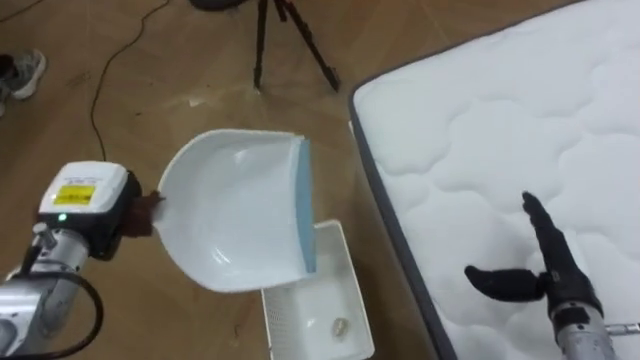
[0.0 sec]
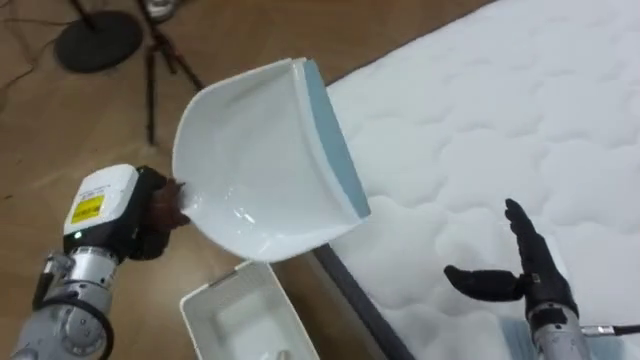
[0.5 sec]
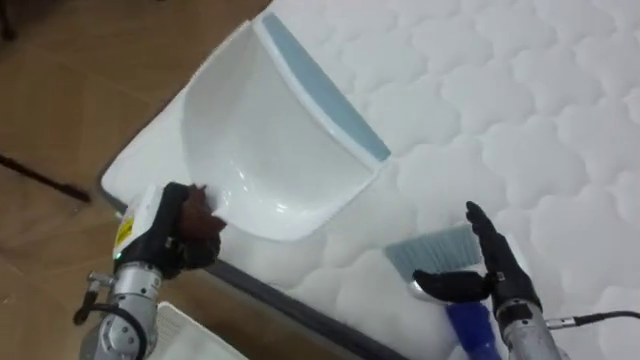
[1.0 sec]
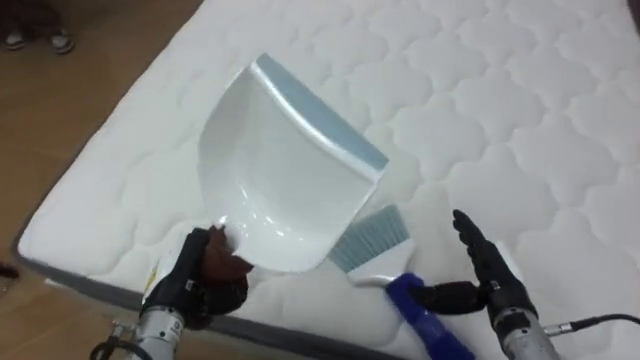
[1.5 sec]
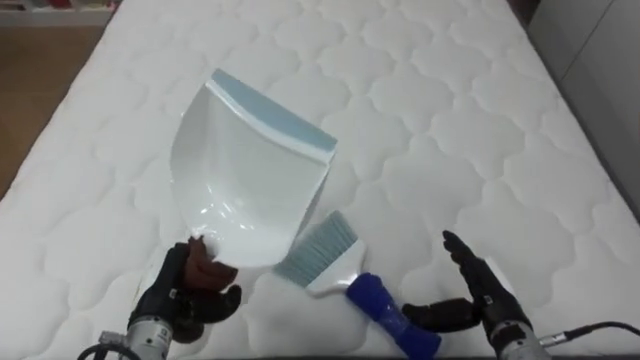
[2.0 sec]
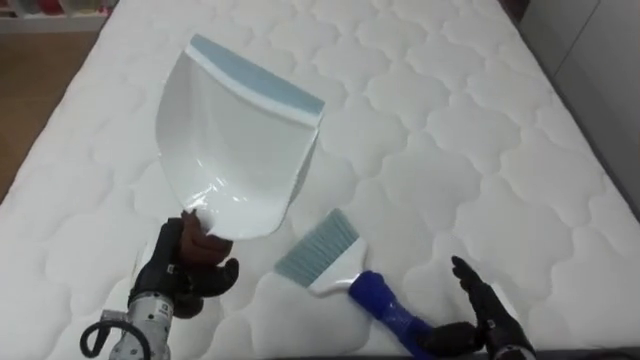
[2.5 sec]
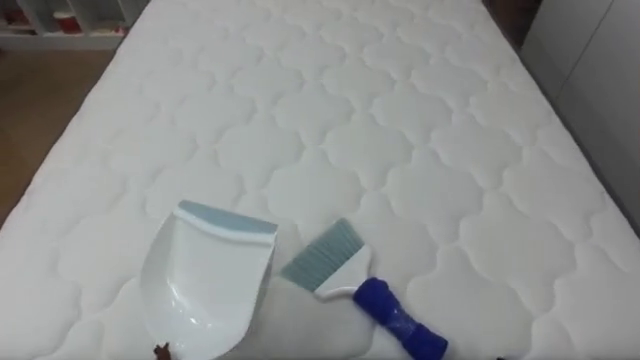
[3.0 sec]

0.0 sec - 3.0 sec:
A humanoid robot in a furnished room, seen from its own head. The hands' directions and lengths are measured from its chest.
Task of the whole recording: Pick up the brush on your right and the dustpan on your left. Use the brush to sweep the crumpled paper on the bed into the dustpan, then turn left and empty it into the basket.
0.0 sec - 1.5 sec: The robot's body swings some 65 degrees to its right. The left hand shifts about 15 cm to the right, downward and backward. Meanwhile the right hand is displaced to the left by about 5 cm.

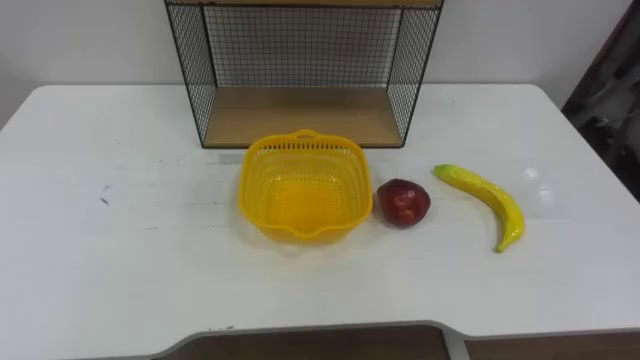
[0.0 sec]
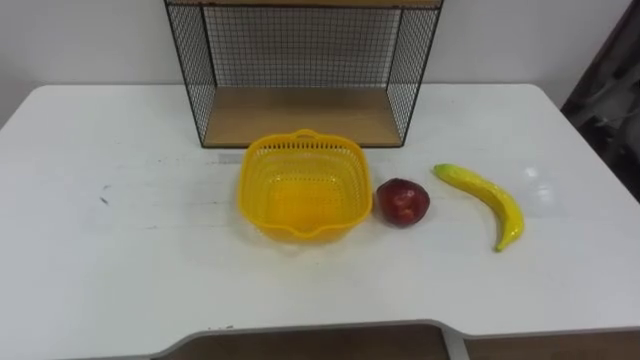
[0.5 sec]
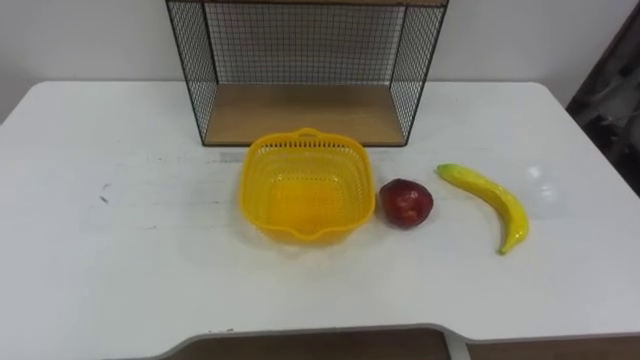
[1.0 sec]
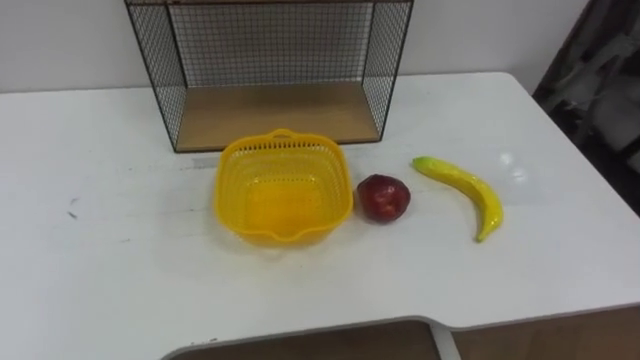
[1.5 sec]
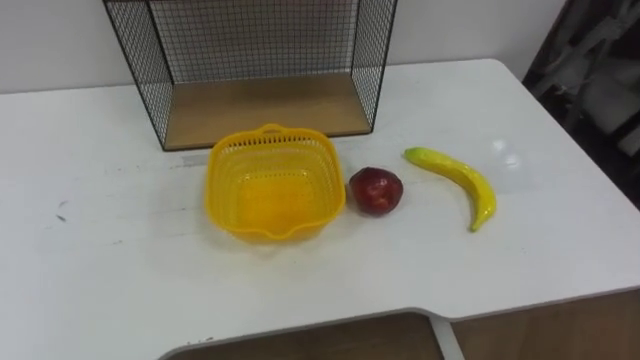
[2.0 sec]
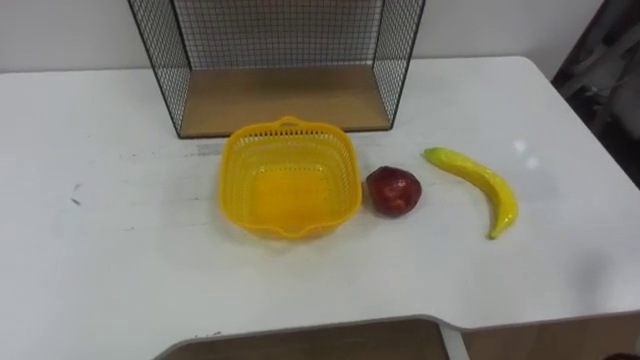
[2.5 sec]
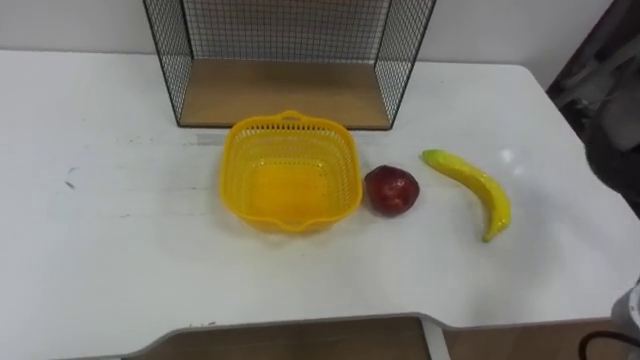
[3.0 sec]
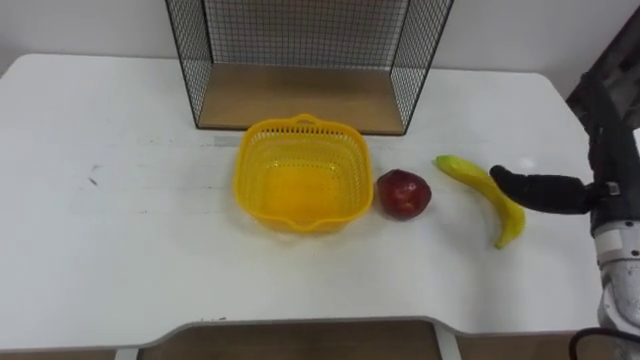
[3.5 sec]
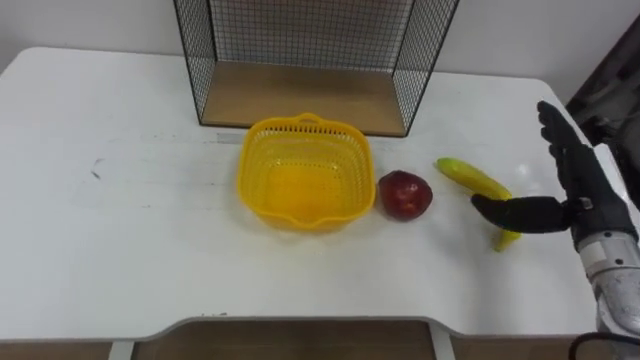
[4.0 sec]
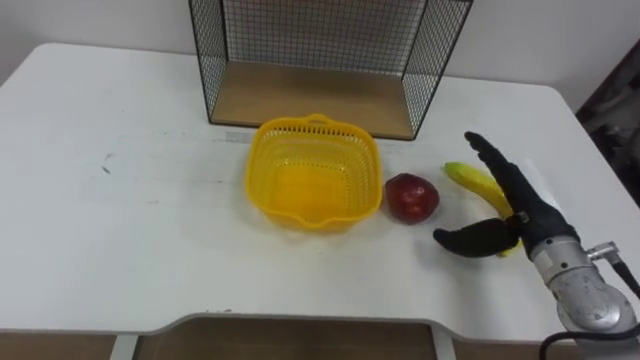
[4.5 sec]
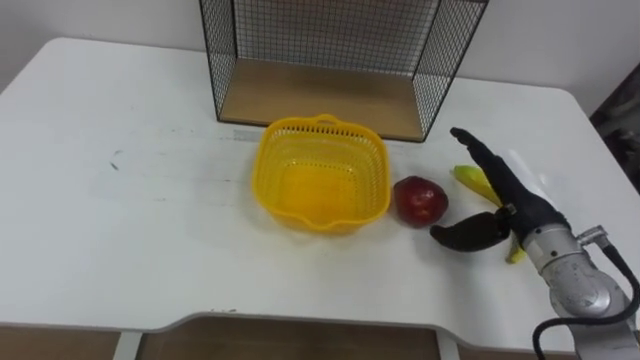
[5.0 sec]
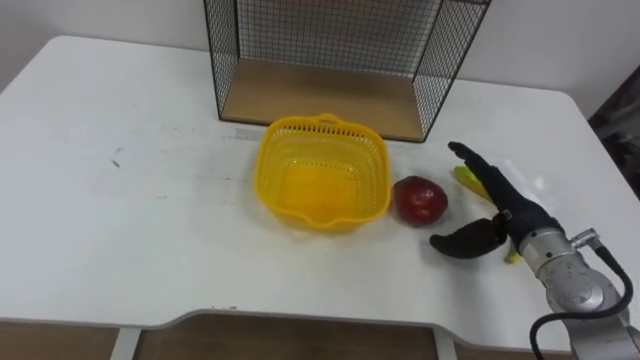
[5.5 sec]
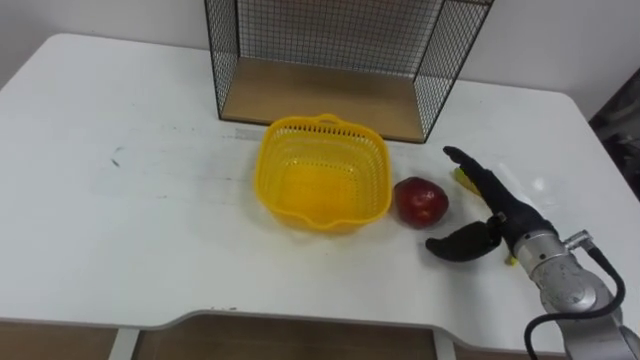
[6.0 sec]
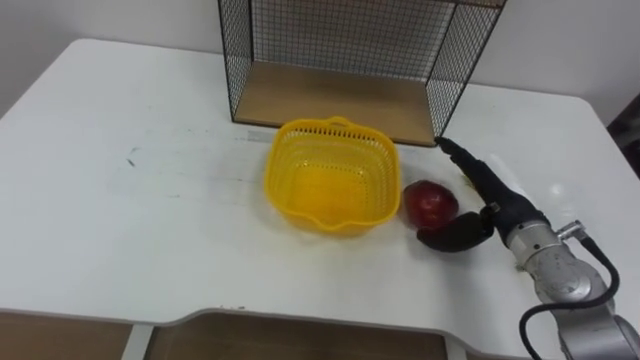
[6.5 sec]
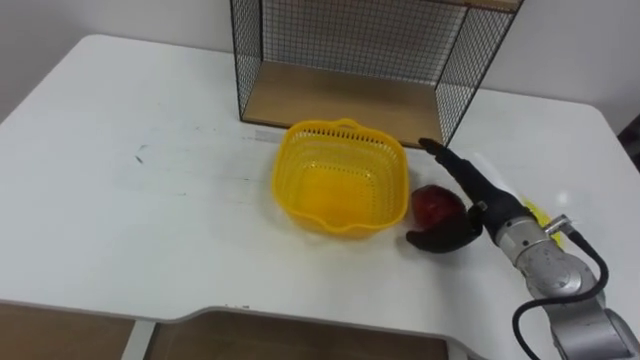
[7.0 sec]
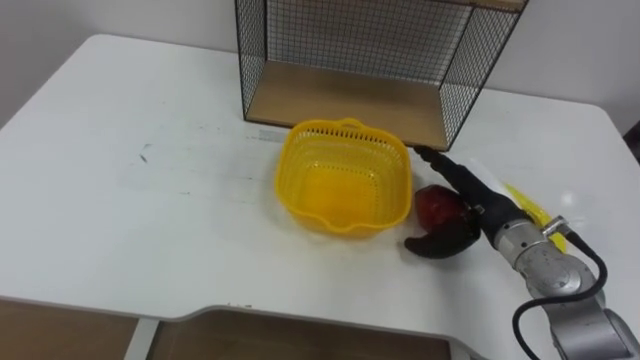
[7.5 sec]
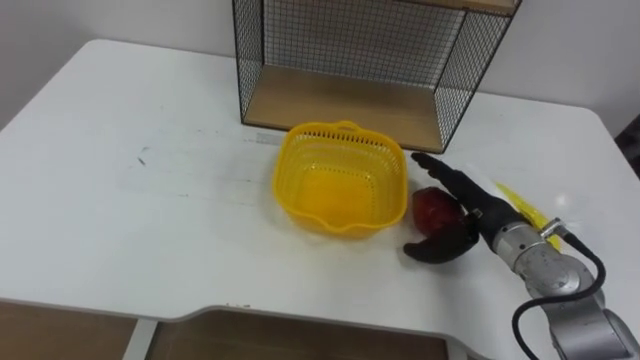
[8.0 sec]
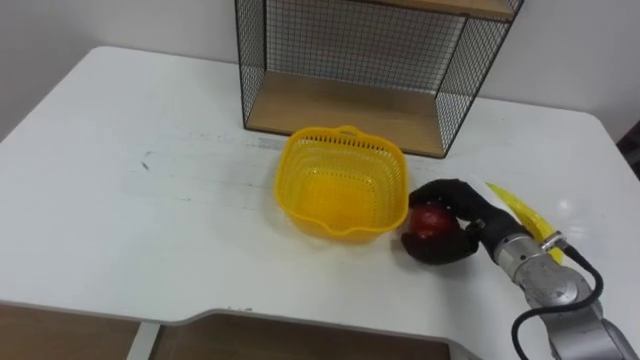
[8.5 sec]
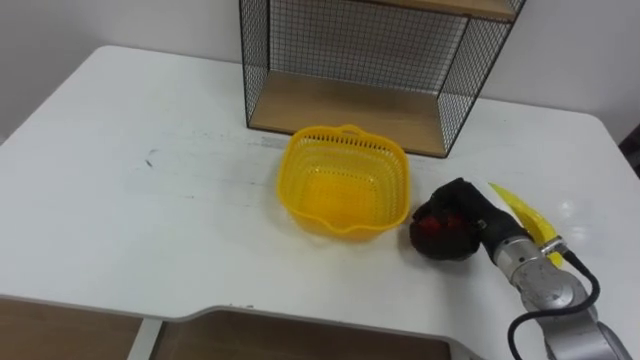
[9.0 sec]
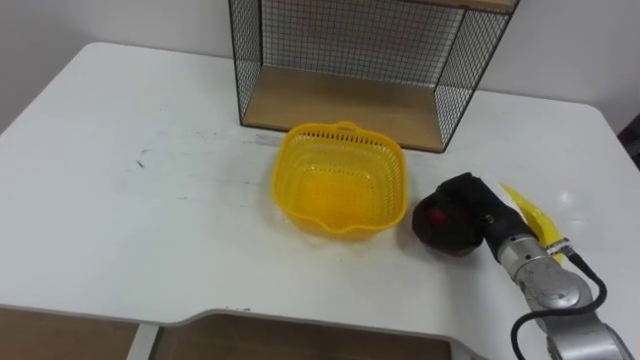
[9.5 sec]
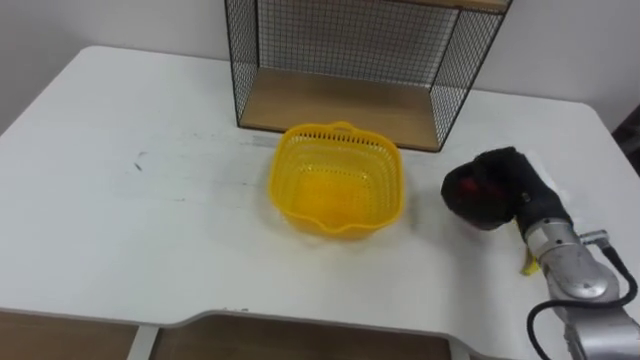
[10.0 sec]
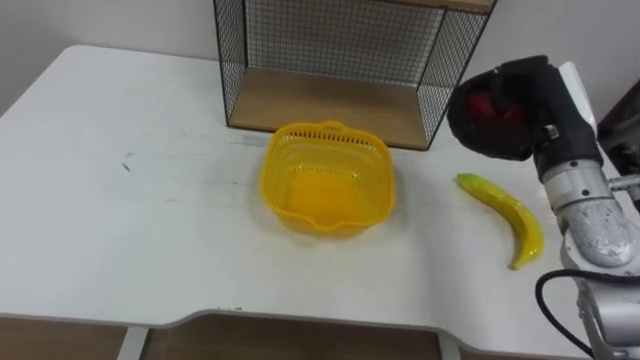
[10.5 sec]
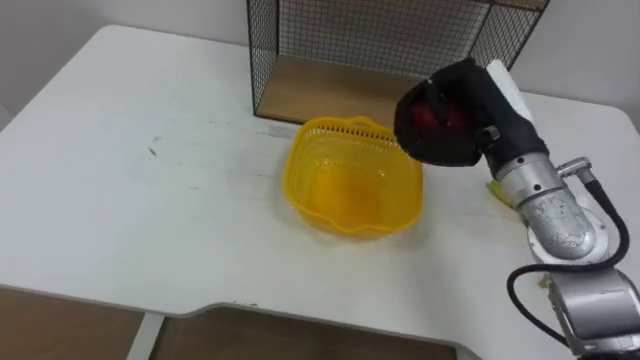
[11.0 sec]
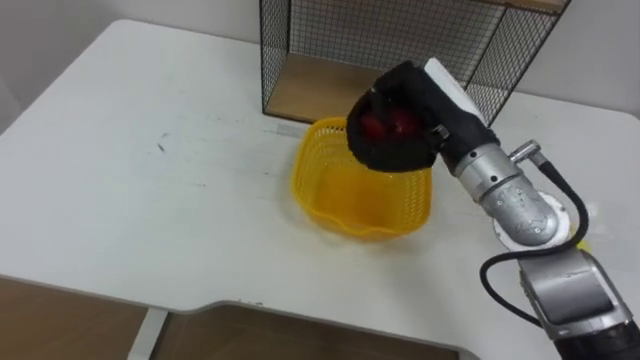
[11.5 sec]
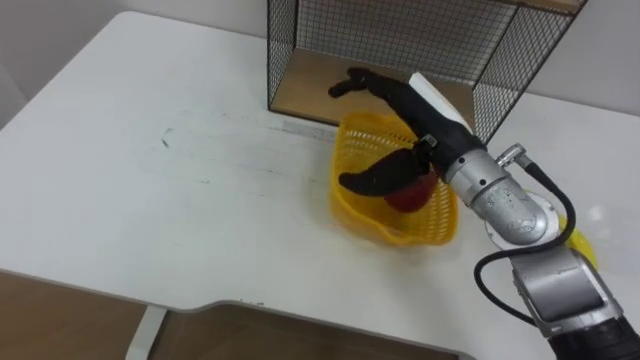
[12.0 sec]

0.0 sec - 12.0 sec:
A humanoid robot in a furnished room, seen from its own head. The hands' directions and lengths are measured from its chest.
Task of the whole recording: Put the fruit on the table into the basket, then place the basket on the shelf.
4.0 sec - 6.0 sec: The right hand is displaced to the left and downward by roughly 10 cm.
8.0 sec - 10.0 sec: The right hand shifts some 5 cm to the right, and closes up.
10.0 sec - 12.0 sec: The right hand shifts about 15 cm to the left and upward, and opens up.

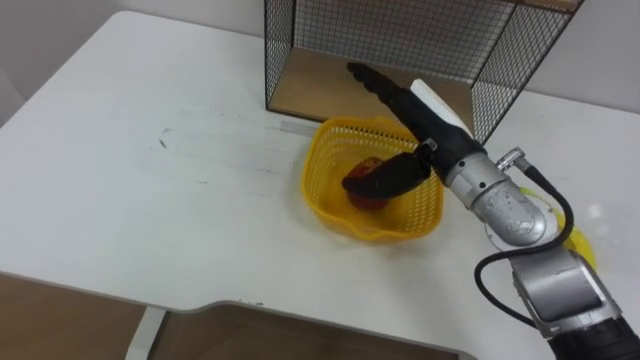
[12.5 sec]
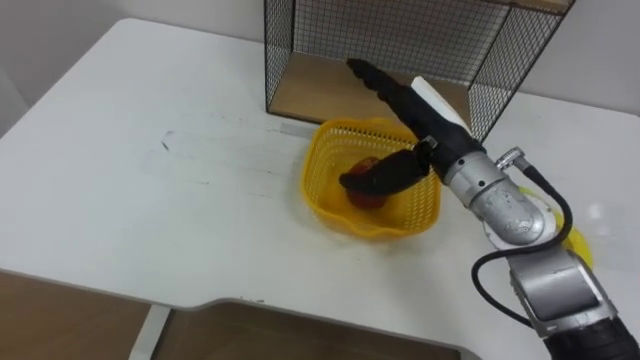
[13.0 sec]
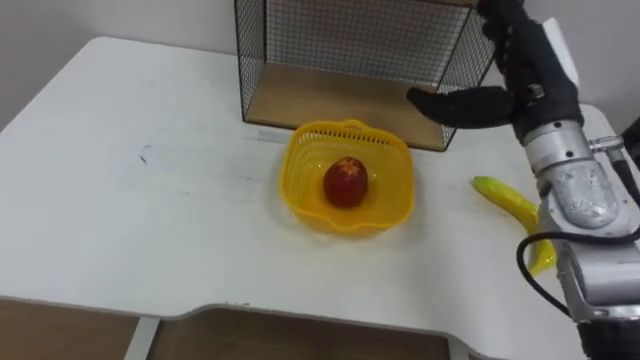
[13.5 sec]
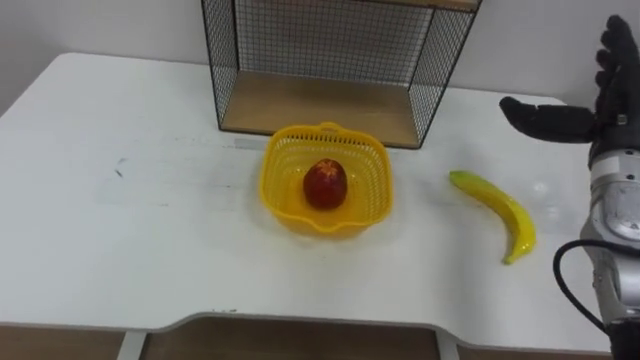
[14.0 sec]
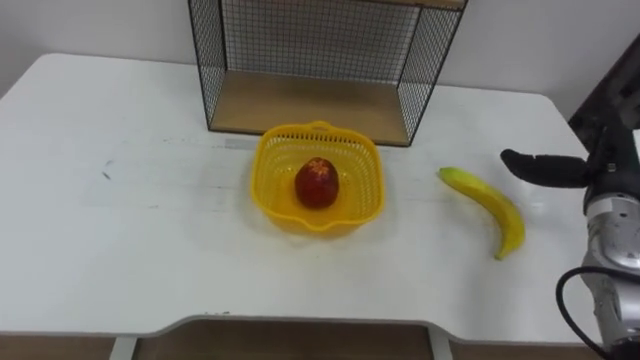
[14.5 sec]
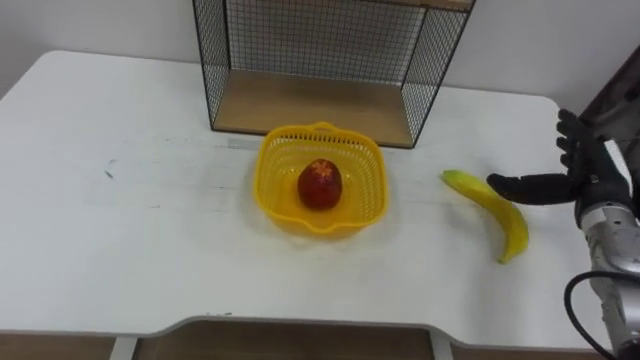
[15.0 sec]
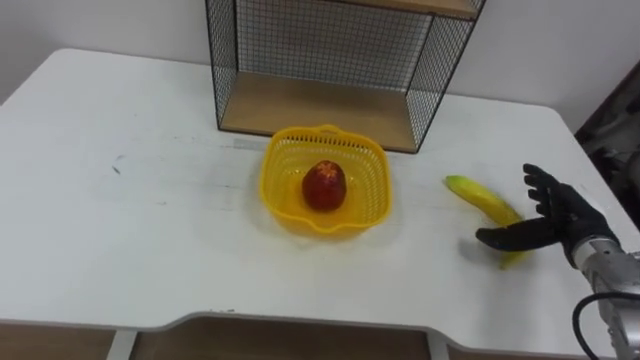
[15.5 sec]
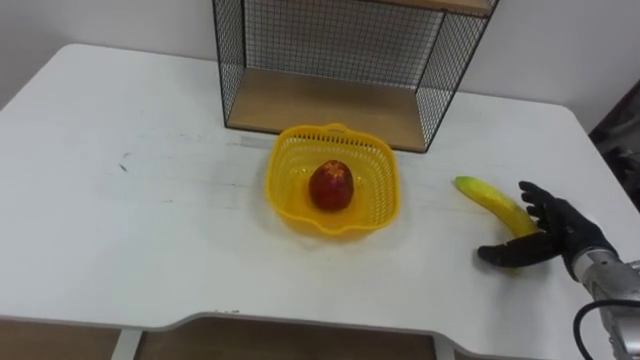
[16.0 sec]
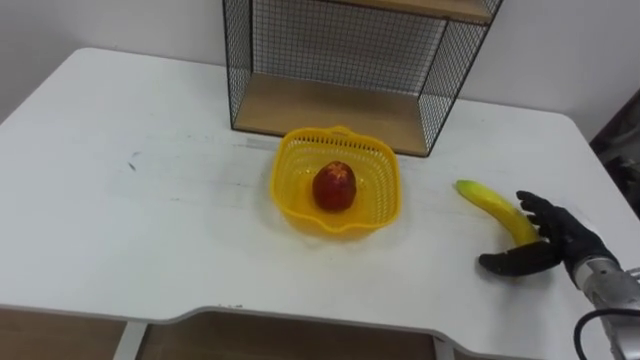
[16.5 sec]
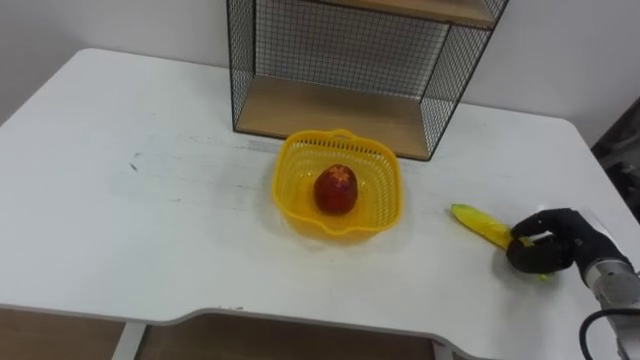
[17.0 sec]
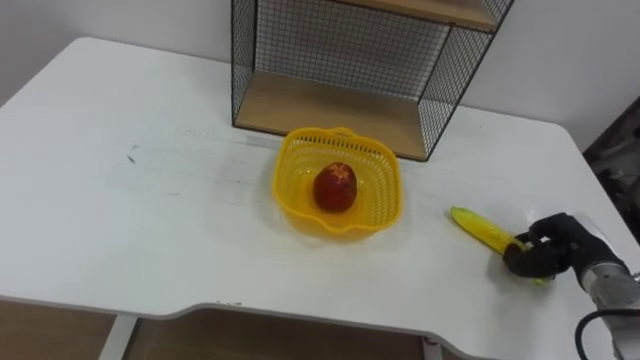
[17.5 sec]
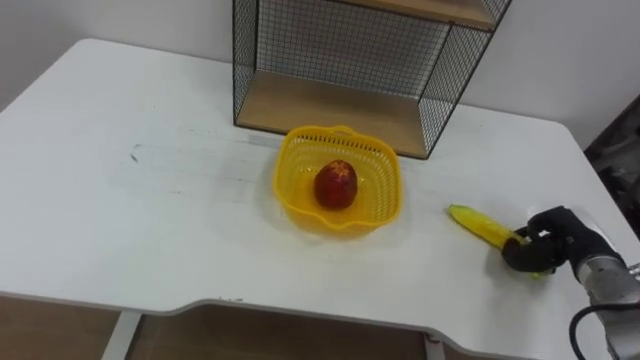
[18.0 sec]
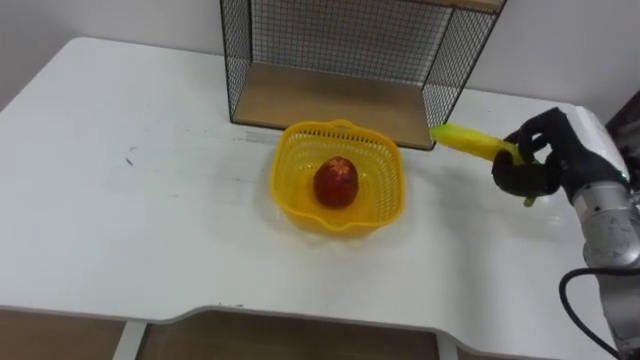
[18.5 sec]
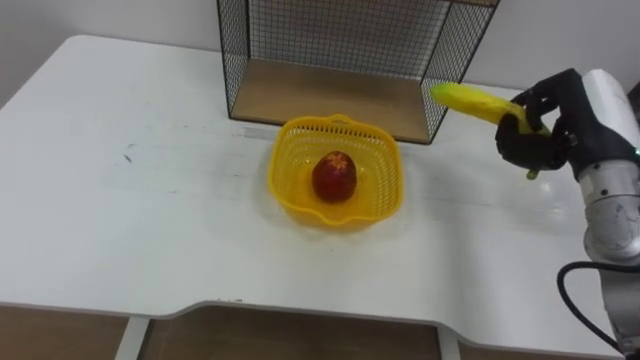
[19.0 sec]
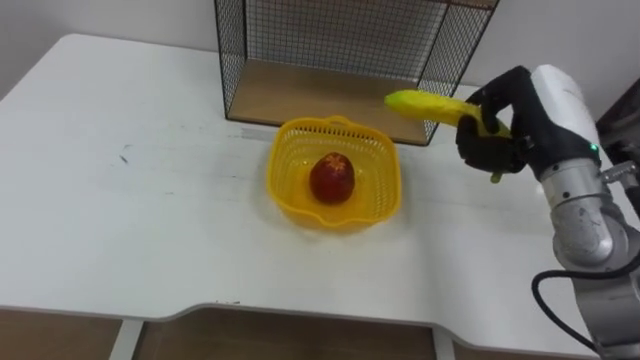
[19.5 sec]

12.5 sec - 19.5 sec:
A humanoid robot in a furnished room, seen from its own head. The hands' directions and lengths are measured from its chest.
Task of the whole recording: Put the fruit on the table into the basket, then place the basket on the shelf.
12.5 sec - 14.5 sec: The right hand moves to the right, some 20 cm.
14.5 sec - 16.0 sec: The right hand goes some 10 cm downward.
16.0 sec - 17.5 sec: The right hand closes up.
17.5 sec - 19.5 sec: The right hand heads upward and to the left, covering approximately 20 cm.
